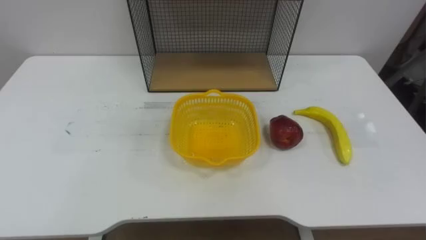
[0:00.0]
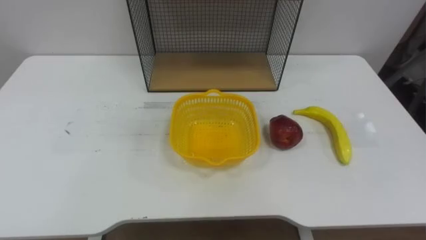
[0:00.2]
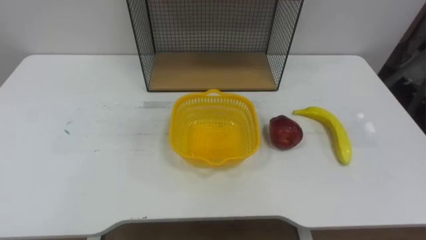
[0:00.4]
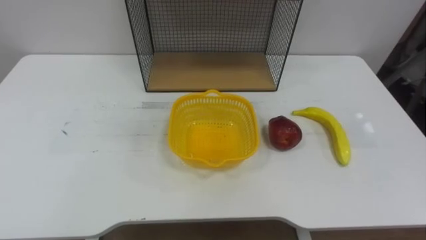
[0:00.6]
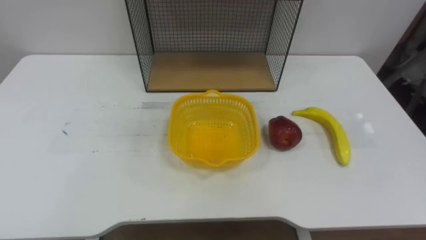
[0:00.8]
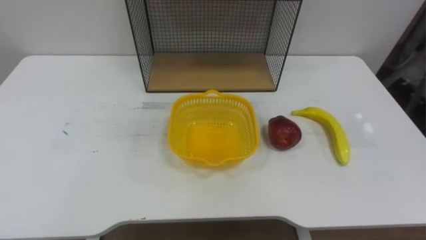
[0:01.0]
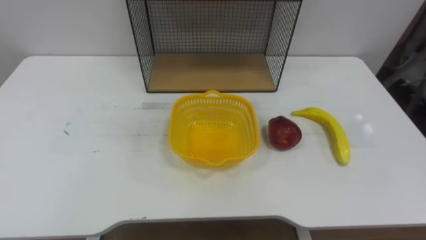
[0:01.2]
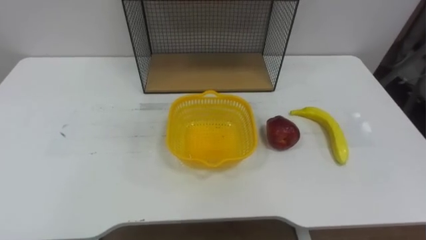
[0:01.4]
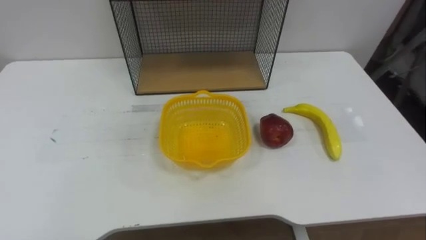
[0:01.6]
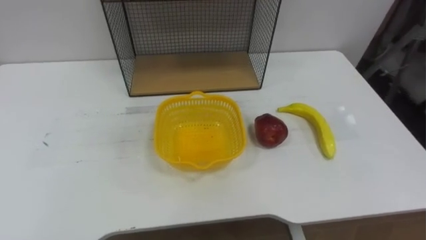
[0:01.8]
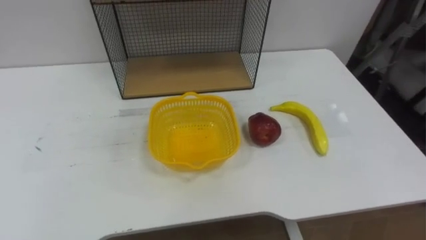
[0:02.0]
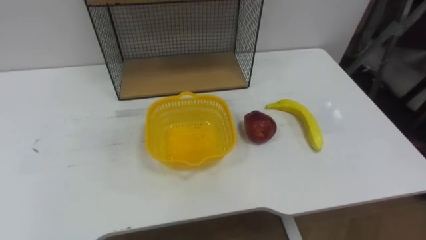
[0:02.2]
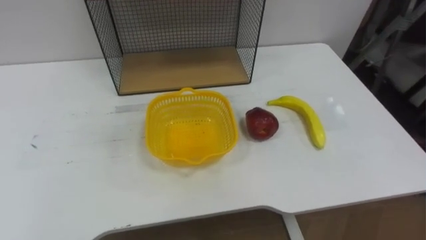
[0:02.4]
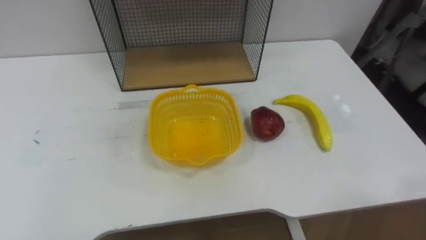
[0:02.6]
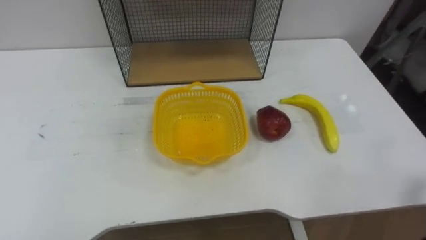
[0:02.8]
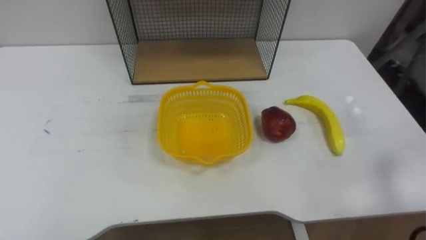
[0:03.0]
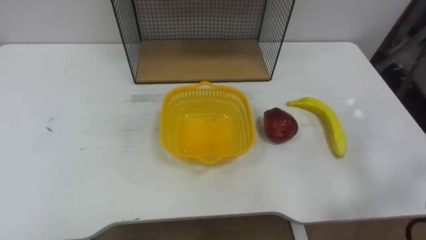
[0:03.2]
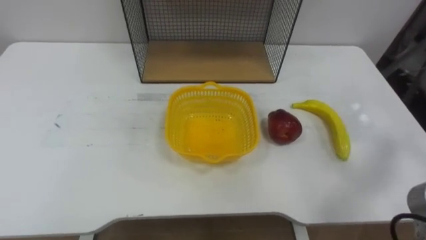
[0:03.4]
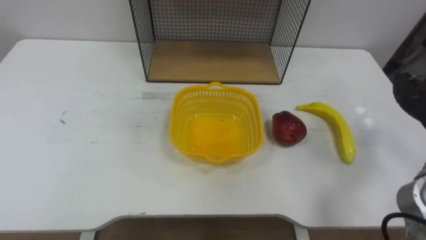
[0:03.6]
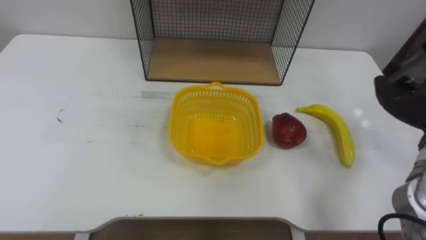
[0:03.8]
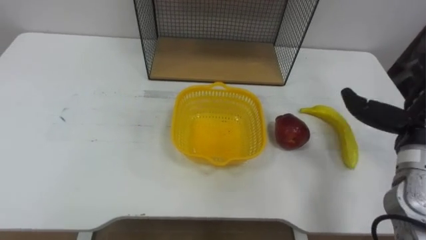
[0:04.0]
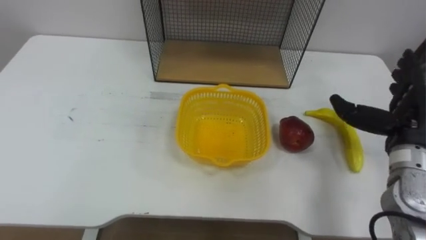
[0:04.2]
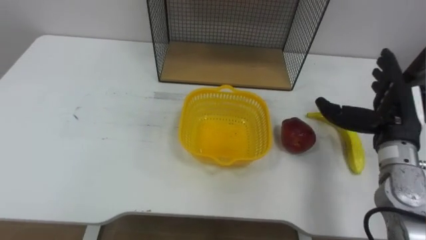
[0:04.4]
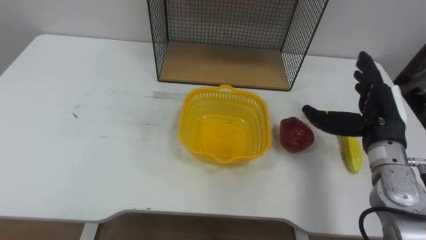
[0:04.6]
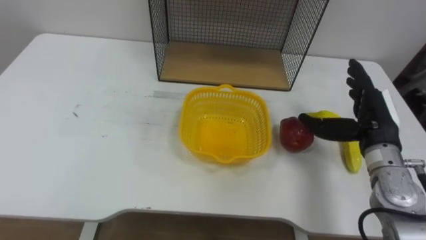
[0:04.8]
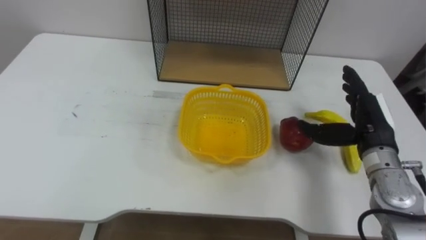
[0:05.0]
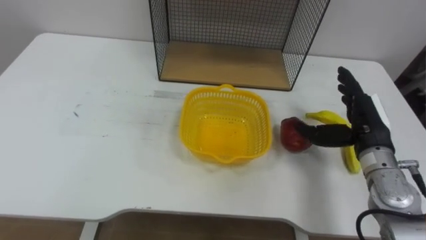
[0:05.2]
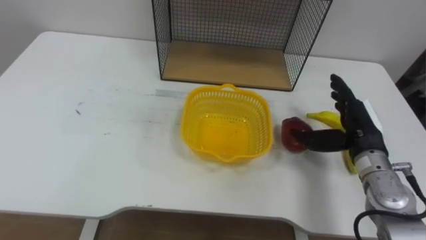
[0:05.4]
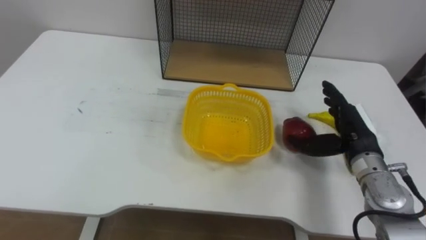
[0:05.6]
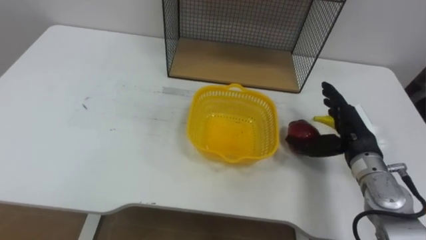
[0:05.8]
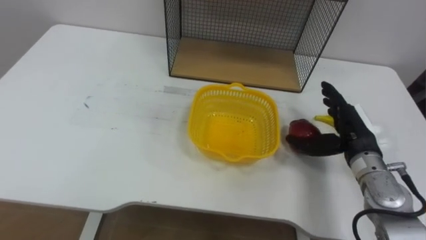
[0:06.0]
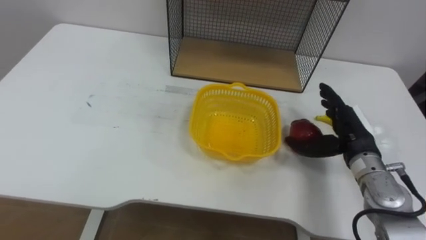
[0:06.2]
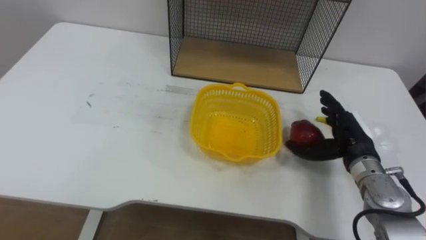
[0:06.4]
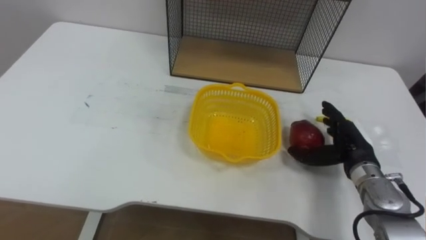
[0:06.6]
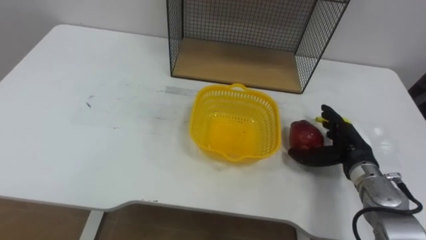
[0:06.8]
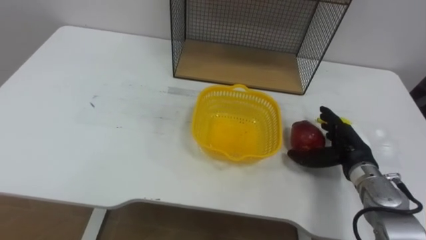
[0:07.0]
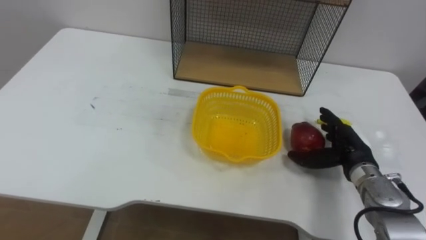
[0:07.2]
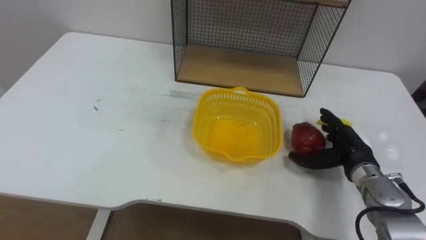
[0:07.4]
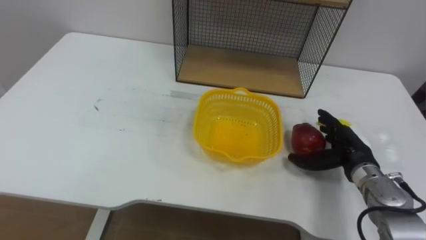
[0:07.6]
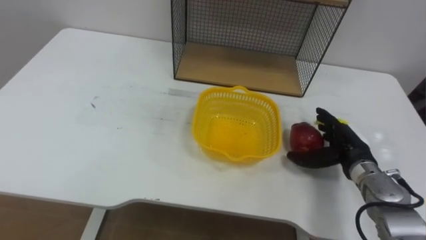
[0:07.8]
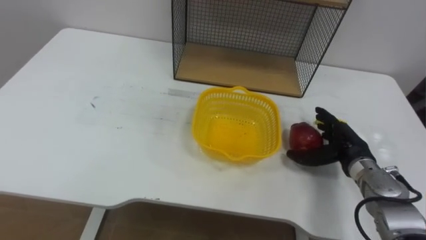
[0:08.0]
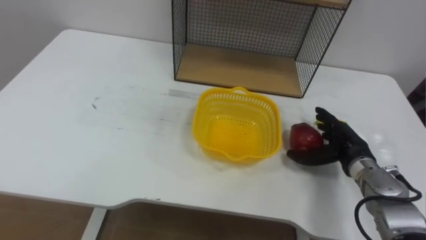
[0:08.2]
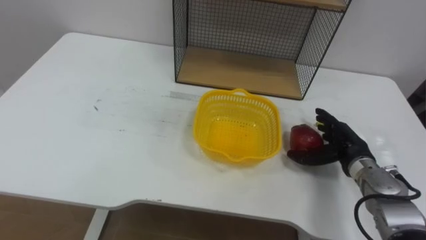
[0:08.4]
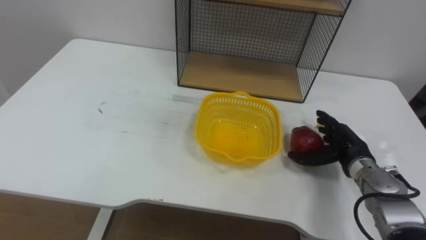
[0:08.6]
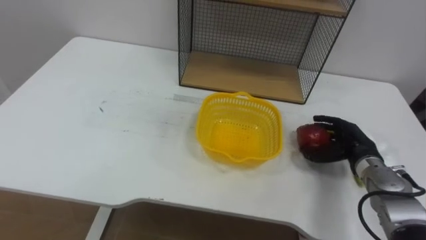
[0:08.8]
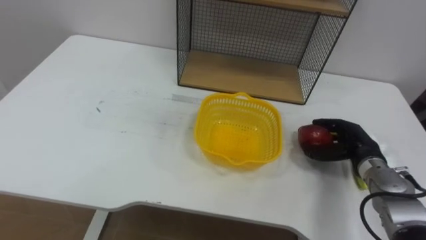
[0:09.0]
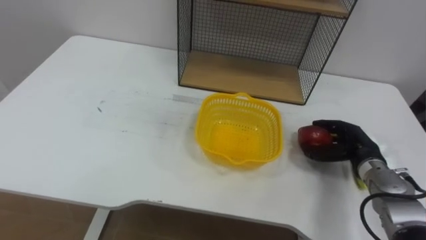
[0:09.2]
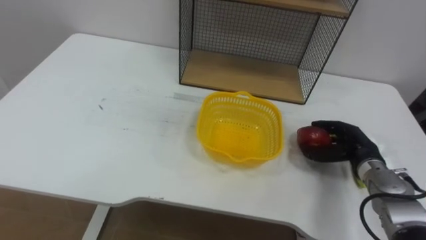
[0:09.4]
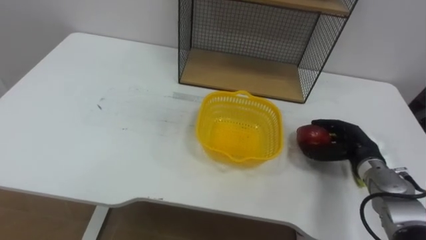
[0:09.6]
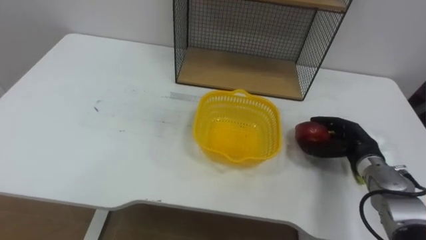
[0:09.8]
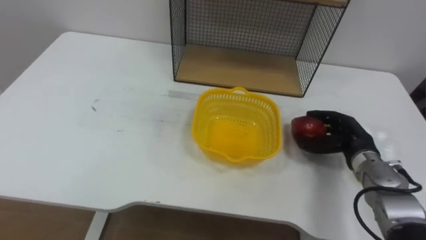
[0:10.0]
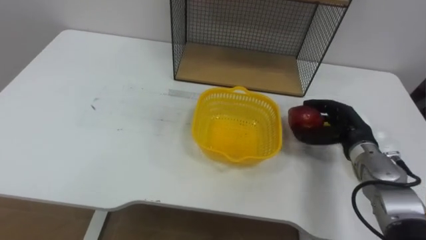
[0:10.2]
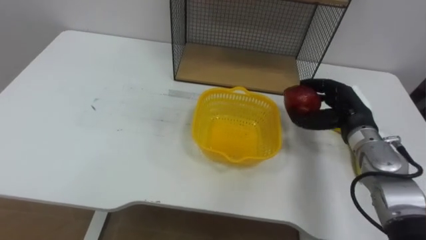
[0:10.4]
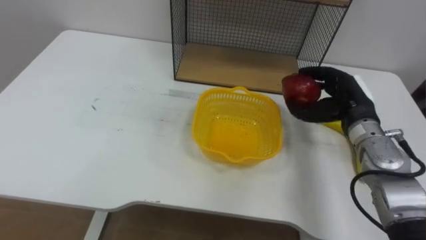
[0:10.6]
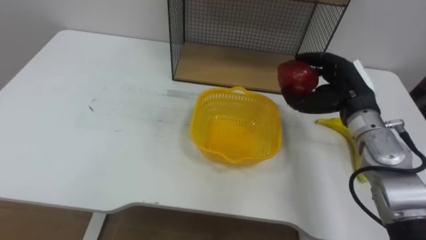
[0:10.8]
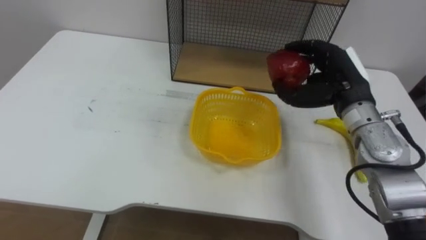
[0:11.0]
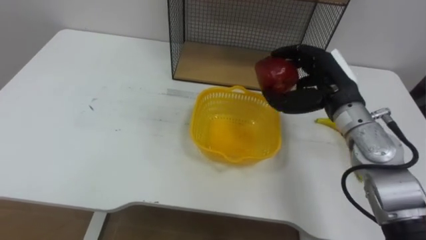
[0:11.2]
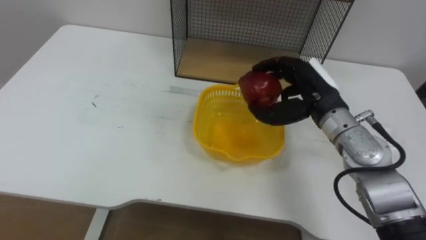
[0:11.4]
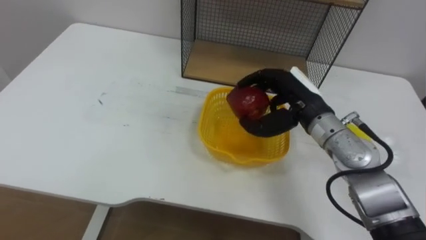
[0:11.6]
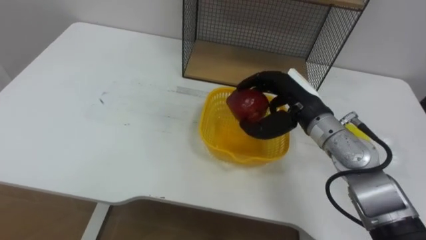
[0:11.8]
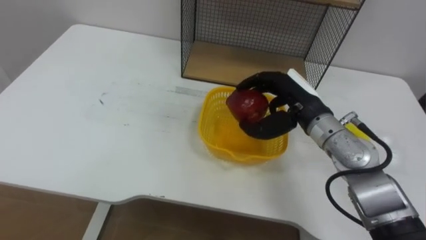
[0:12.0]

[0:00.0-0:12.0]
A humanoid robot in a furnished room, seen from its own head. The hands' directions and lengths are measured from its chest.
Task of the whole recording: Put the fruit on the table into the basket, then place the basket on the shelf.
0:04.4 to 0:06.0: The right hand shifts roughly 5 cm downward.
0:06.0 to 0:07.6: The right hand moves downward, some 5 cm.
0:07.6 to 0:09.0: The right hand closes up.
0:09.0 to 0:10.4: The right hand shifts approximately 10 cm upward.
0:10.4 to 0:12.0: The right hand heads to the left and upward, covering approximately 10 cm.

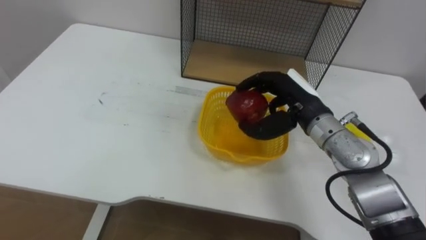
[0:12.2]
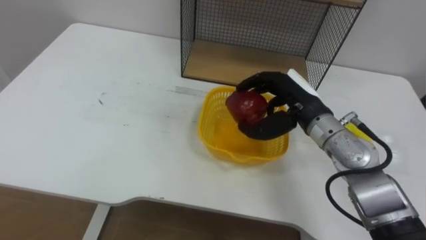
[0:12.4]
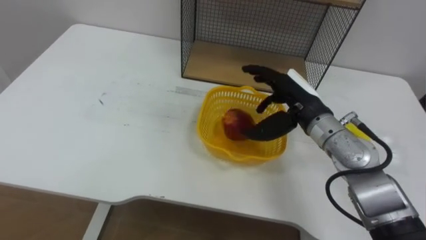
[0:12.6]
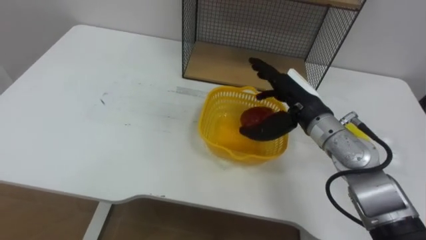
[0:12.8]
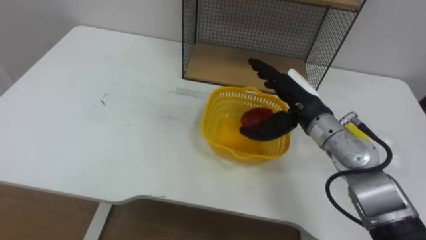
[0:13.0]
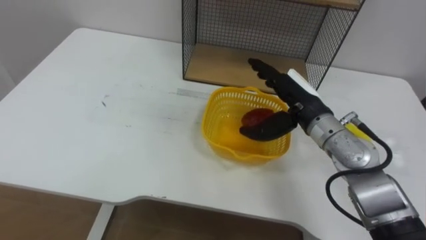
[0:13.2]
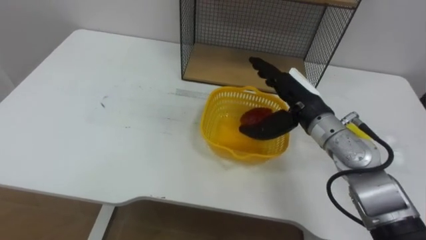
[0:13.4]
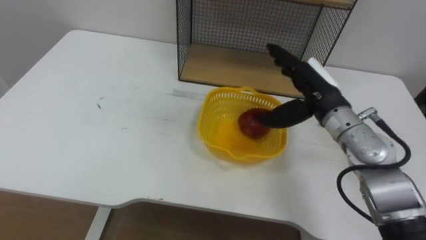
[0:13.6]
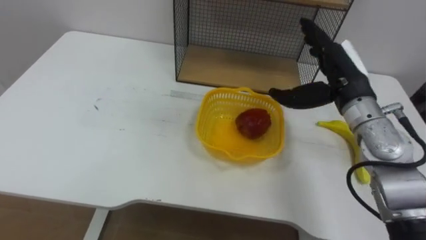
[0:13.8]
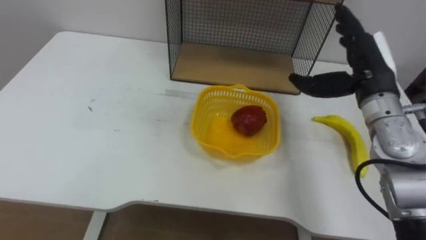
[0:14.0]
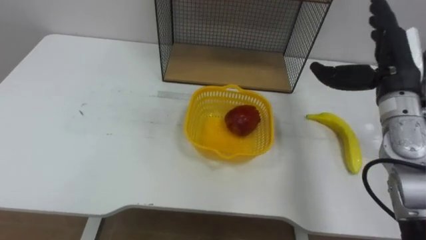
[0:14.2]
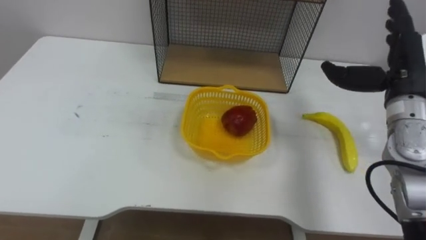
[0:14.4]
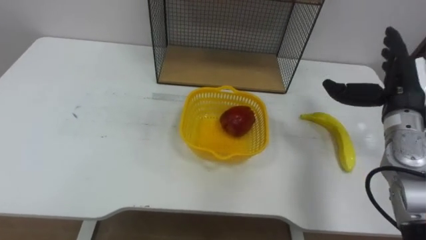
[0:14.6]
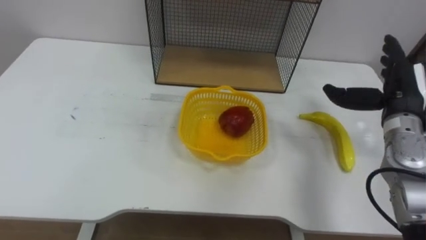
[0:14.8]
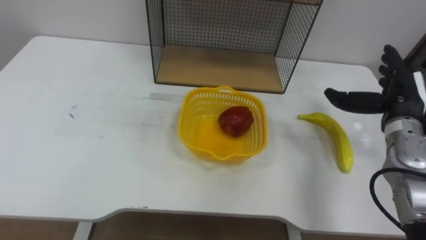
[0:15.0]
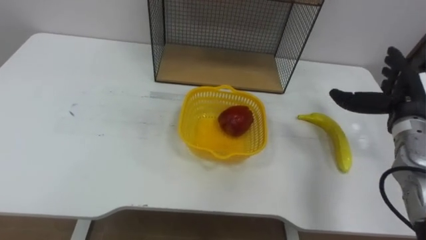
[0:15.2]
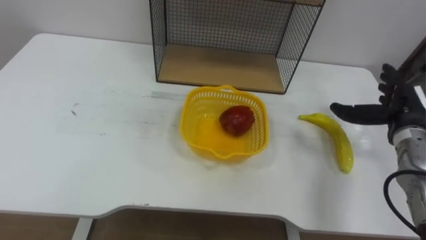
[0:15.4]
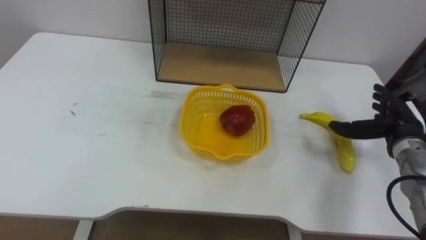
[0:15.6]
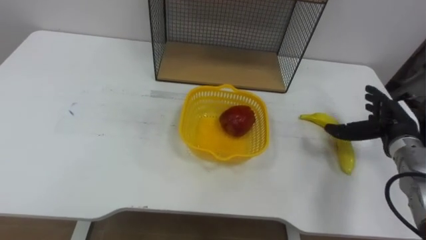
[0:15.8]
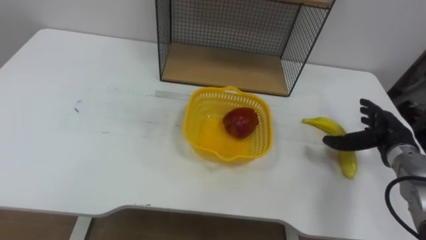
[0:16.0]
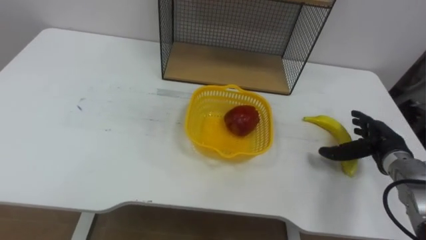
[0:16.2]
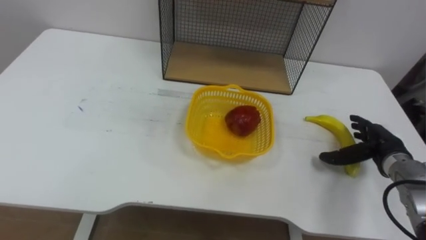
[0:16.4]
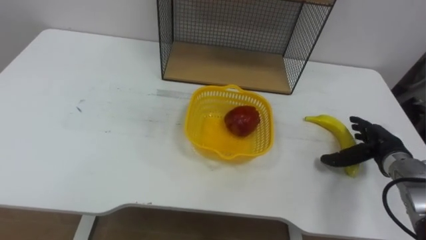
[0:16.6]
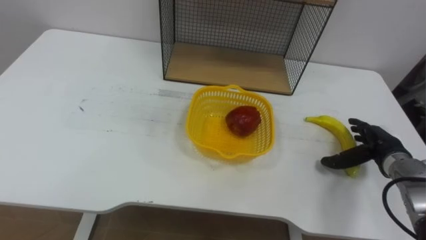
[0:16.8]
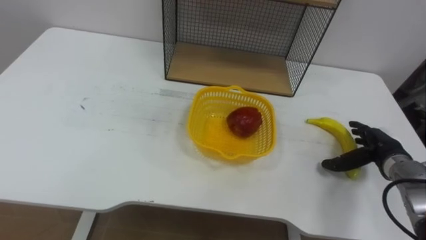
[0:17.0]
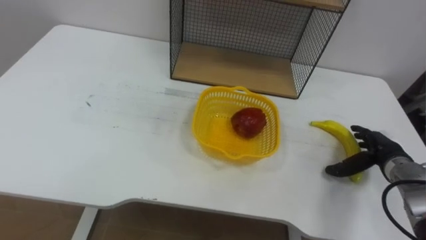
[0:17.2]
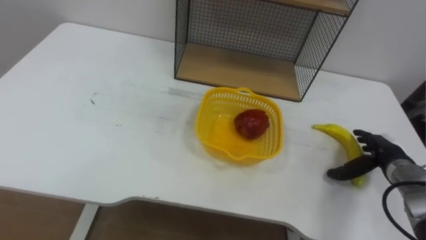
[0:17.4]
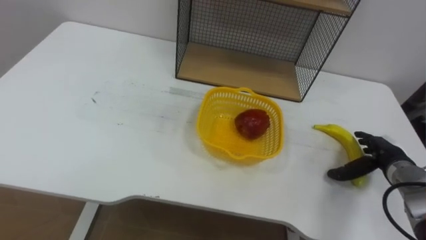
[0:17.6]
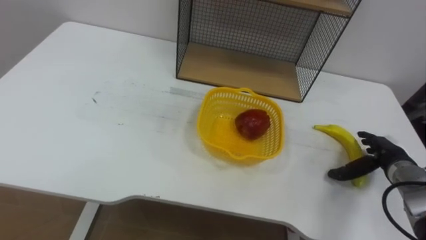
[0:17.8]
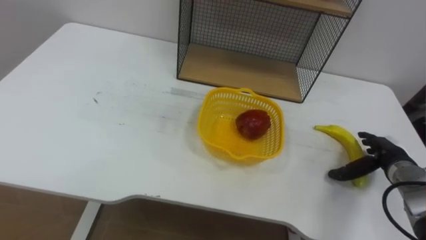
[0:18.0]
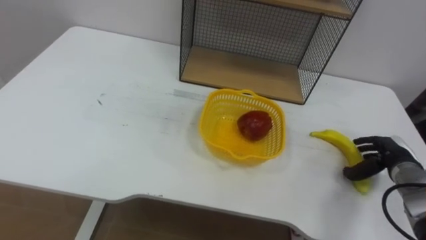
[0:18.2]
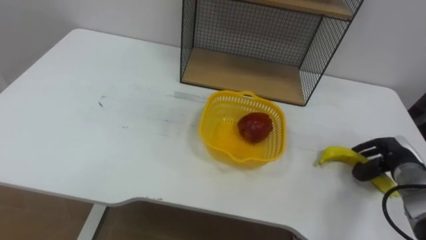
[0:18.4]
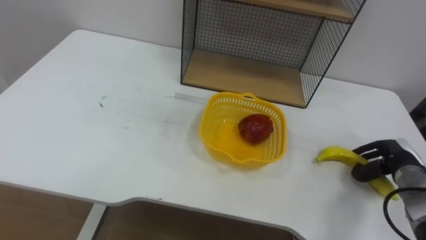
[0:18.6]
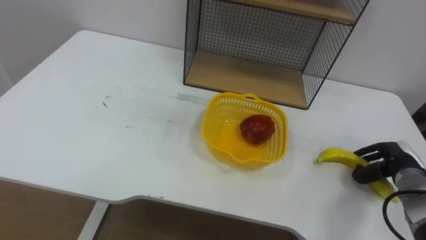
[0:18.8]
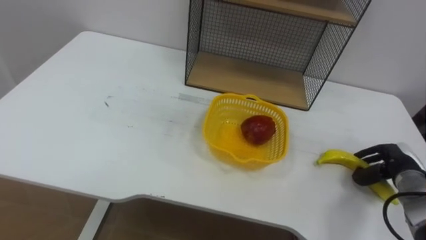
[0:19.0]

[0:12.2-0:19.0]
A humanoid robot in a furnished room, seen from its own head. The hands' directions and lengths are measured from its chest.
Task of the whole recording: Put the fruit on the table into the basket, then place the basket on the shelf.
0:12.2 to 0:13.6: The right hand opens up.
0:13.6 to 0:15.0: The right hand travels to the right by about 15 cm.
0:15.0 to 0:16.2: The right hand heads downward, covering roughly 10 cm.
0:17.6 to 0:19.0: The right hand closes its fingers.
